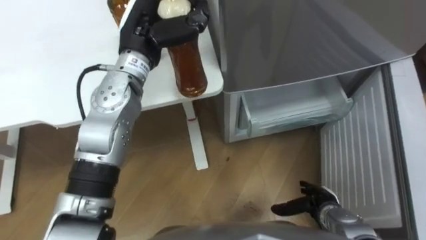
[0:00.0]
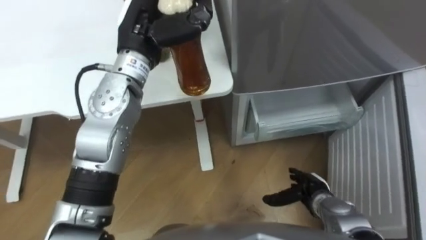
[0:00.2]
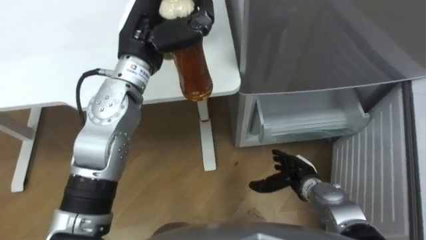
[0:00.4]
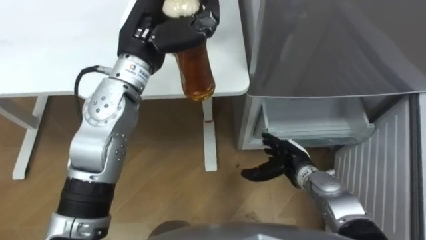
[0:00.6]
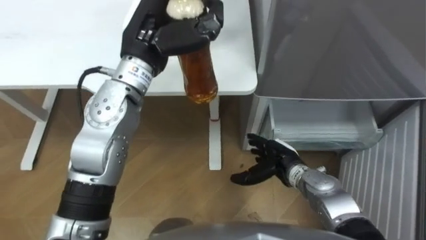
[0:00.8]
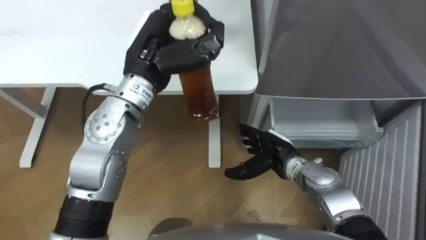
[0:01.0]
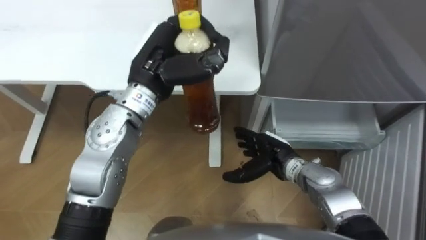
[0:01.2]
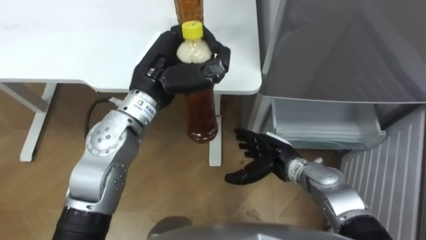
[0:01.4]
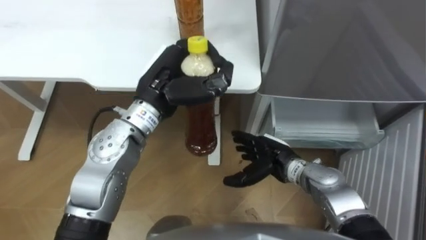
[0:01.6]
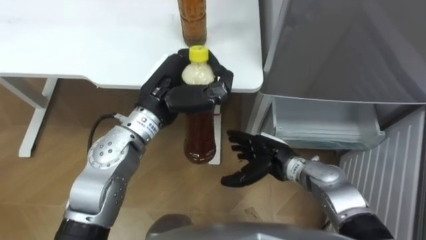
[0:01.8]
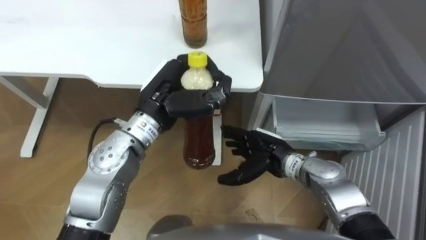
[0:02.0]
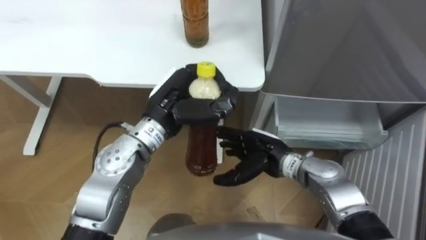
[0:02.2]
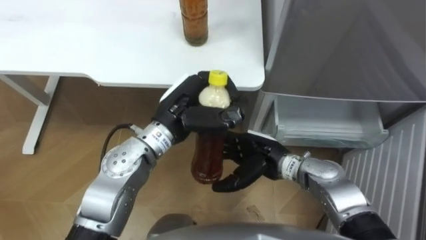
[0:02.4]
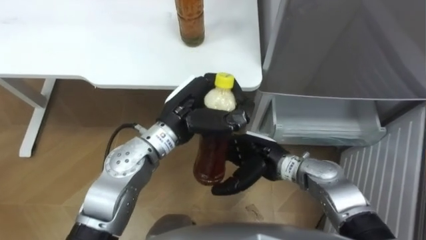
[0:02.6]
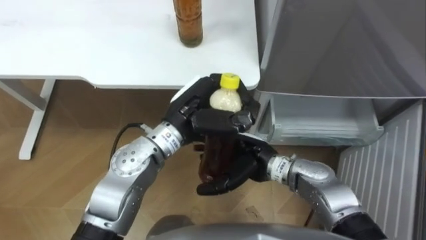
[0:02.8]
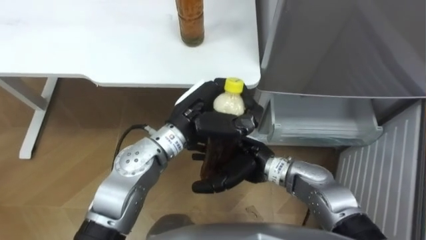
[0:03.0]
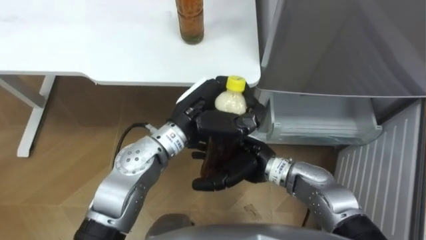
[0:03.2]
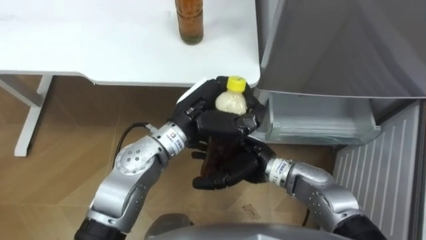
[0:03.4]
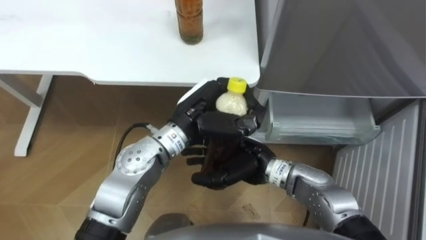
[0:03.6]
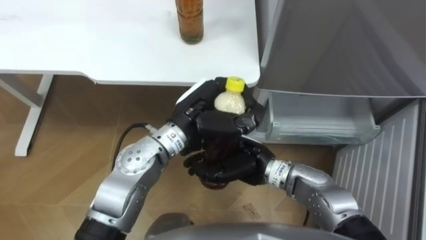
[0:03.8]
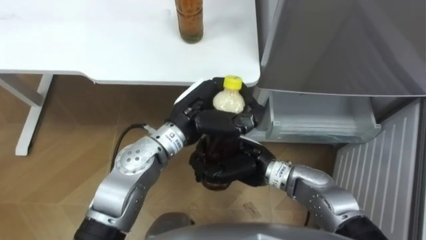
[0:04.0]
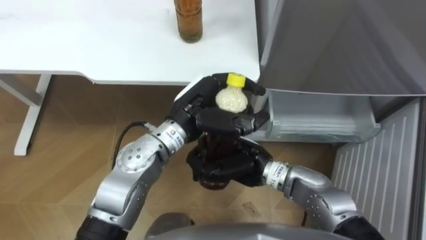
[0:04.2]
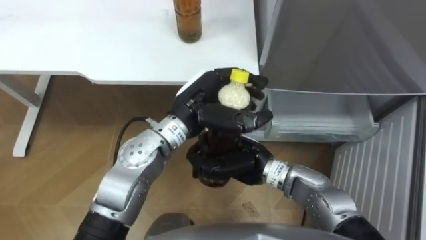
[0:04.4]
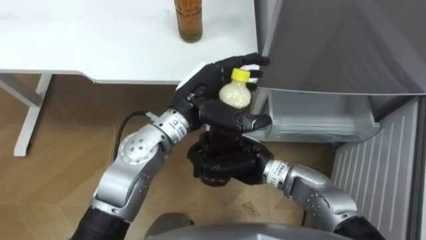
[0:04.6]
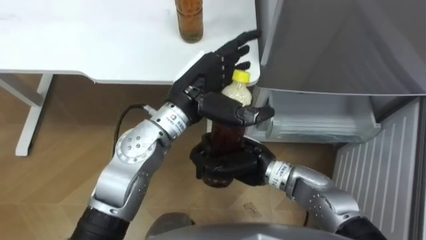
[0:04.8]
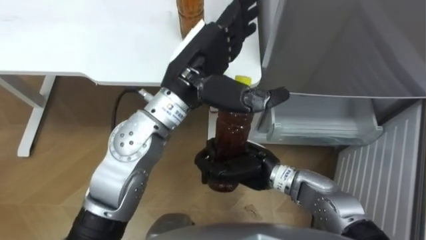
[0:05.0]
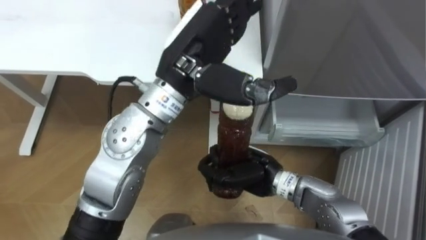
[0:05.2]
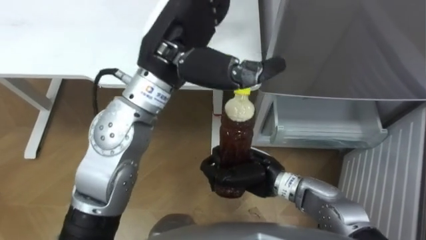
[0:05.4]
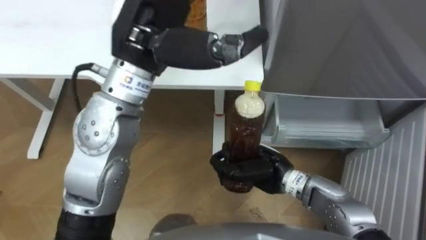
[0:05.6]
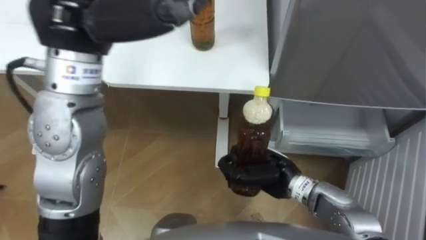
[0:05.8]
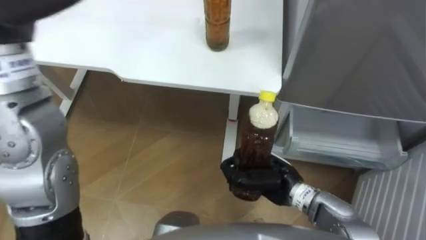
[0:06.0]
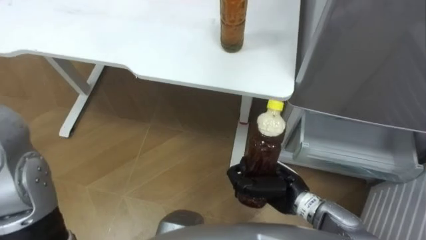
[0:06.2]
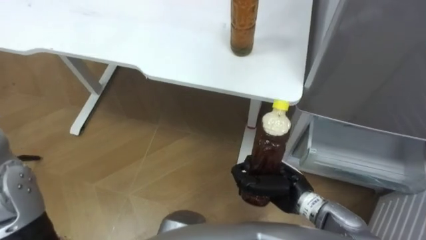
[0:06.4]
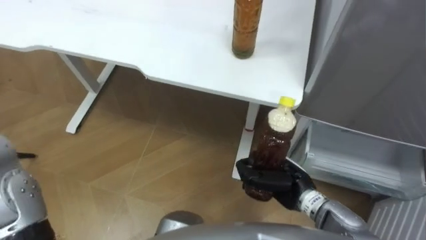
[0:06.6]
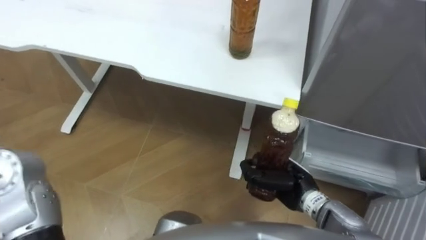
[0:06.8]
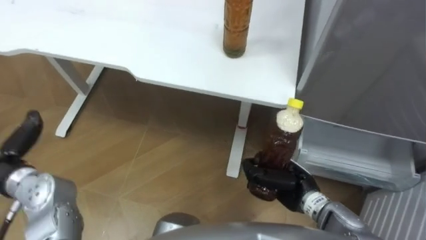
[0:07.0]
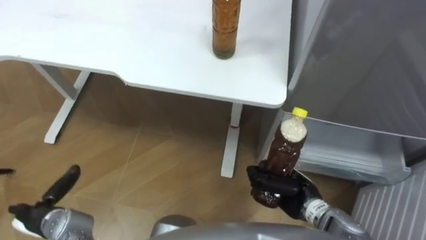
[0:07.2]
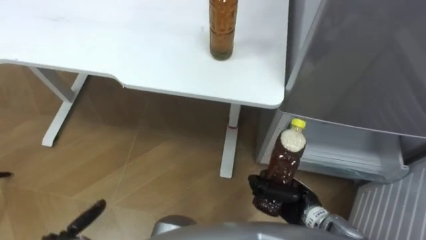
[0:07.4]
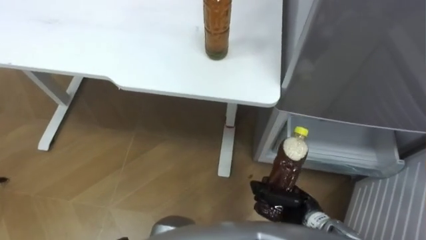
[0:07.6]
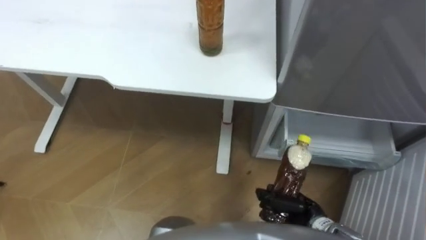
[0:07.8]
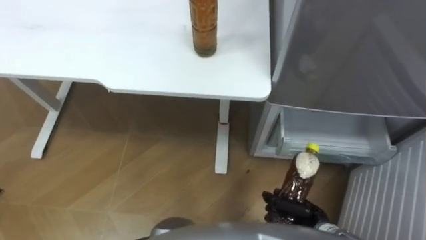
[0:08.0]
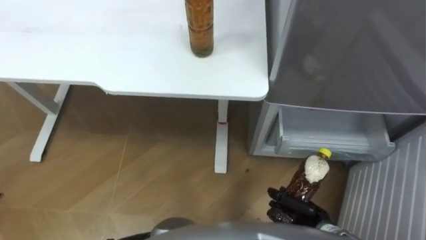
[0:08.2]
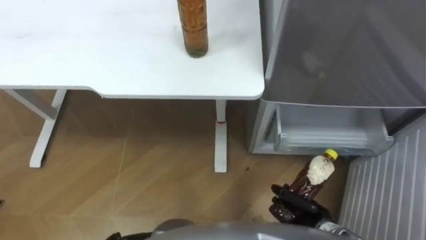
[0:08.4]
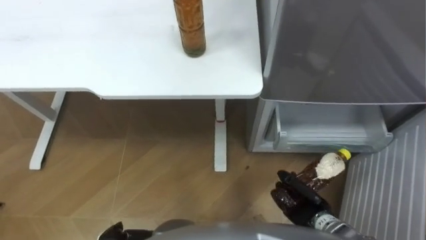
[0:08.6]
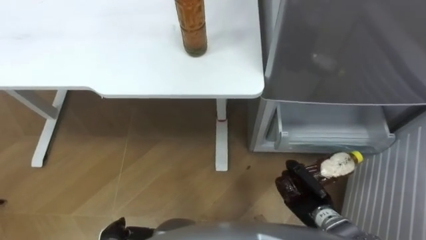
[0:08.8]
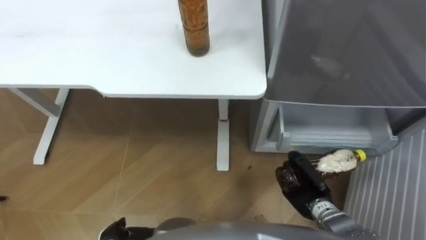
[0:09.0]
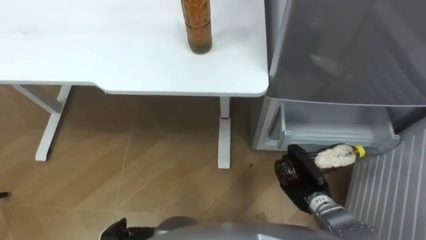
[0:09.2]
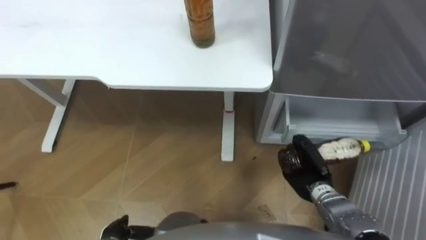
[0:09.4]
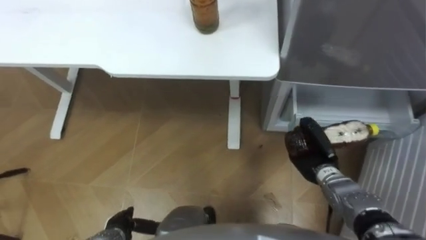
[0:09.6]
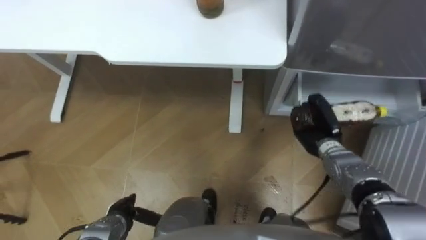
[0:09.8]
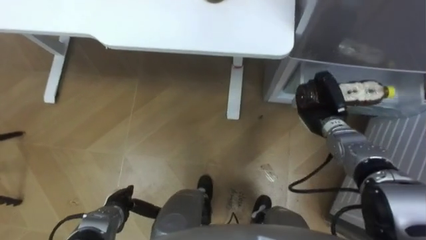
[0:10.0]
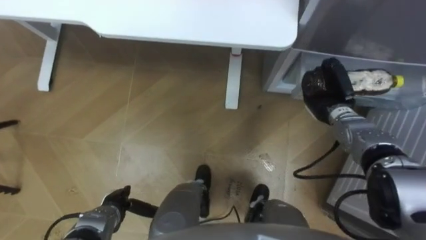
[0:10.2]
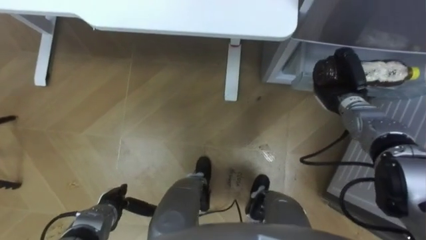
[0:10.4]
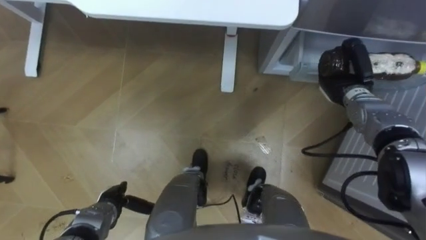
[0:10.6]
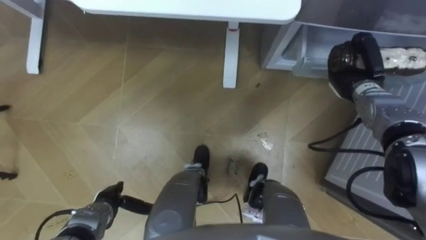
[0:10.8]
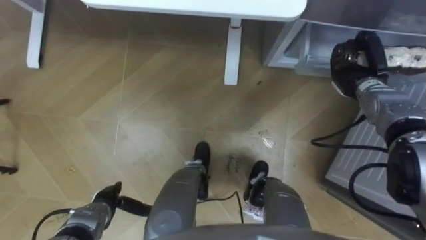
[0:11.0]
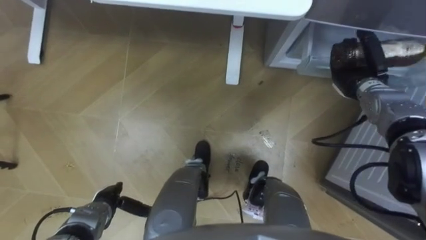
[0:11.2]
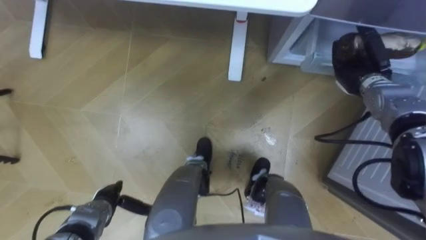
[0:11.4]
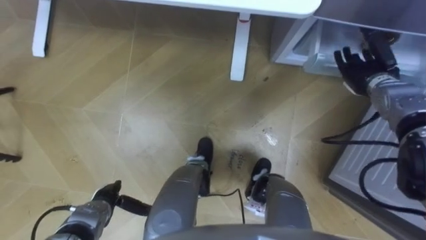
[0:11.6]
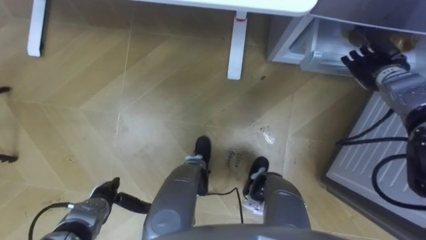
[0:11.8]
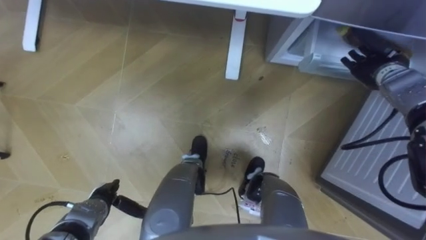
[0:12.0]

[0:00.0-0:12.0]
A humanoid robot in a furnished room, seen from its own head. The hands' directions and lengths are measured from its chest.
Task of the whole recording: Place the drink on the table on the bottom shelf of the refrigerator, then close the drawer and the refrigerator door.
0:00.0 to 0:01.6: The right hand travels to the left, forward and upward by about 20 cm. The left hand is displaced backward by about 10 cm.
0:01.6 to 0:03.0: The left hand travels to the right by roughly 5 cm. Meanwhile the right hand is displaced to the left and upward by about 10 cm.
0:03.0 to 0:04.4: The right hand closes up, while the left hand opens.
0:04.4 to 0:06.0: The right hand moves to the right, approximately 5 cm.
0:06.0 to 0:07.6: The right hand is displaced downward, to the right and backward by about 10 cm.
0:09.0 to 0:10.4: The right hand travels forward and upward by about 25 cm.
0:10.4 to 0:12.0: The right hand heads to the right and upward, covering roughly 10 cm, and opens.

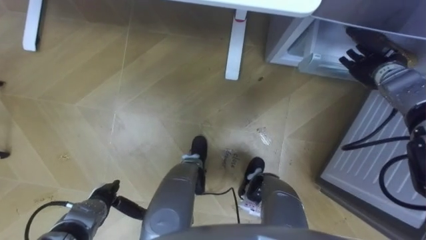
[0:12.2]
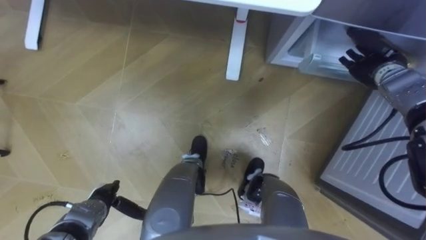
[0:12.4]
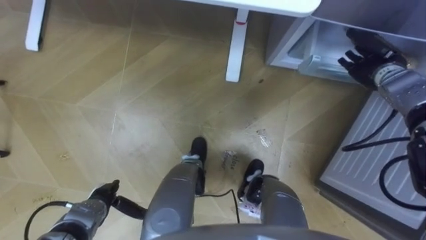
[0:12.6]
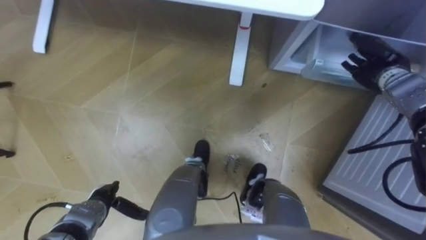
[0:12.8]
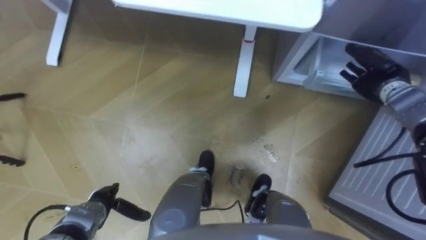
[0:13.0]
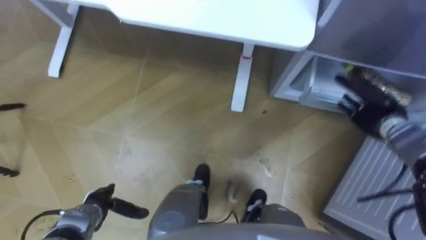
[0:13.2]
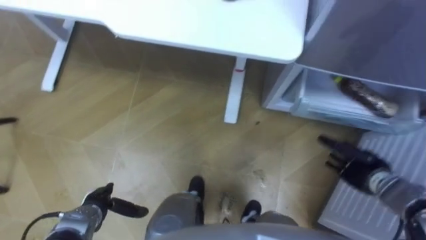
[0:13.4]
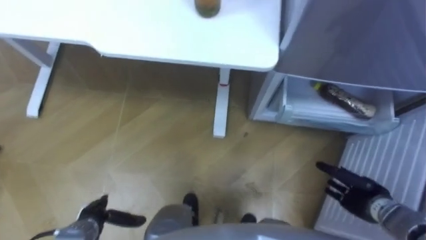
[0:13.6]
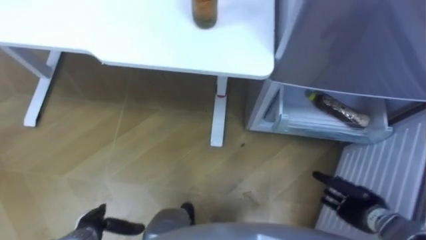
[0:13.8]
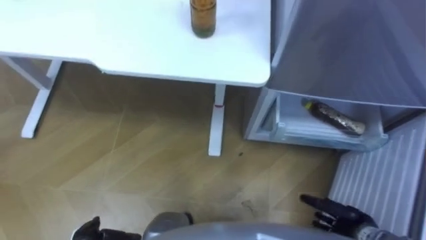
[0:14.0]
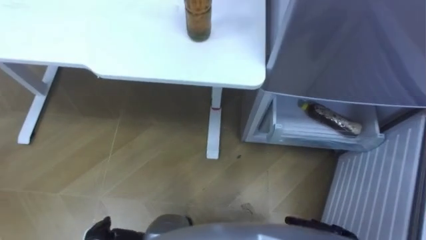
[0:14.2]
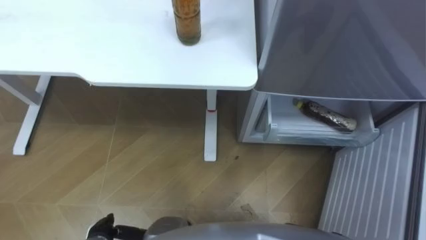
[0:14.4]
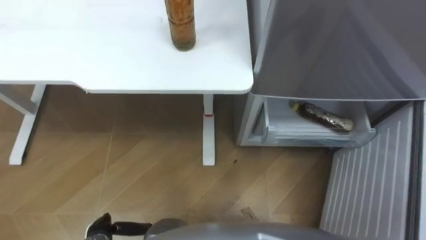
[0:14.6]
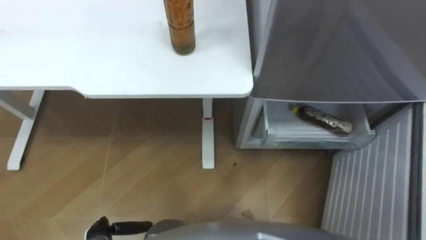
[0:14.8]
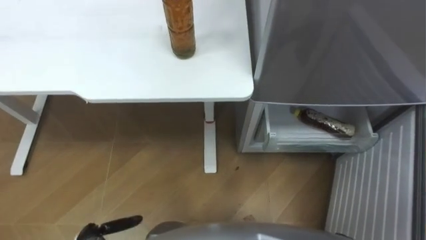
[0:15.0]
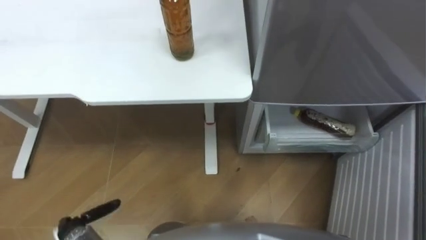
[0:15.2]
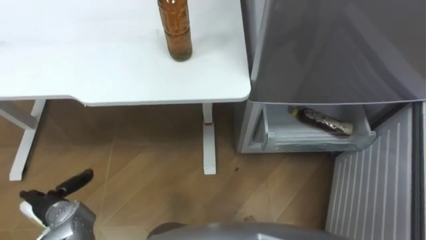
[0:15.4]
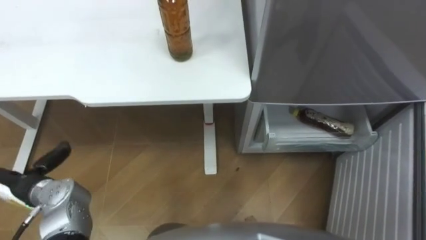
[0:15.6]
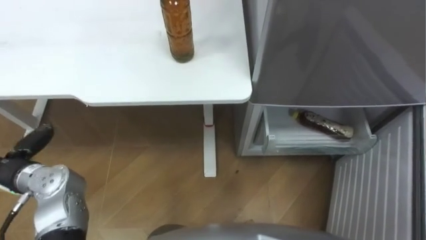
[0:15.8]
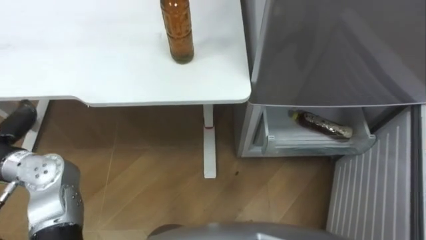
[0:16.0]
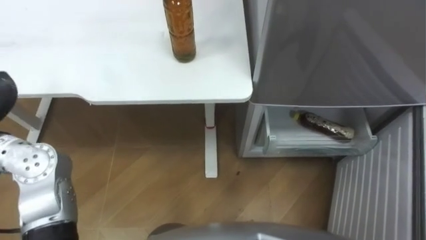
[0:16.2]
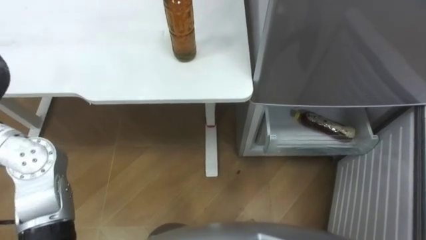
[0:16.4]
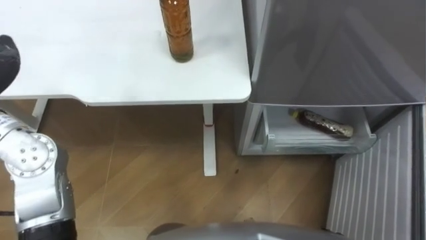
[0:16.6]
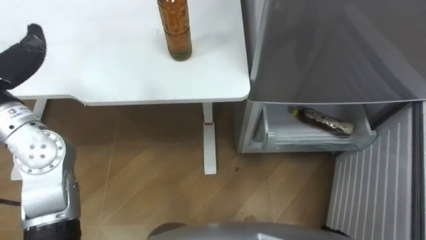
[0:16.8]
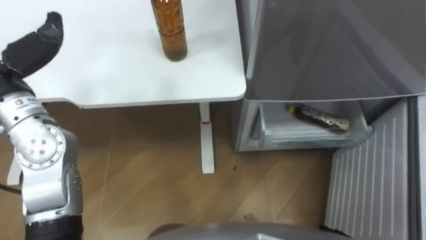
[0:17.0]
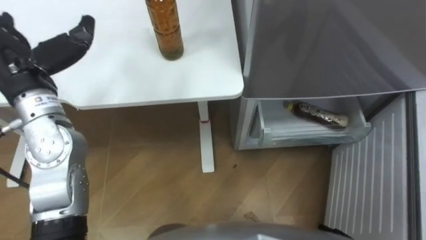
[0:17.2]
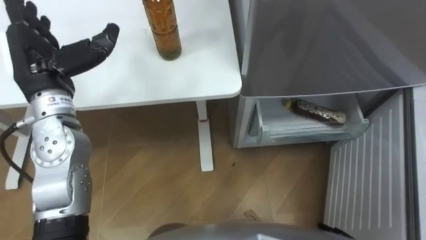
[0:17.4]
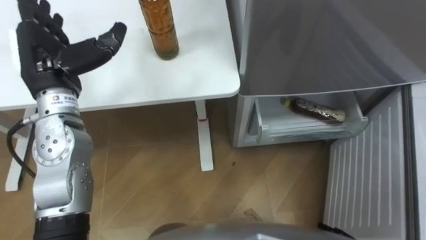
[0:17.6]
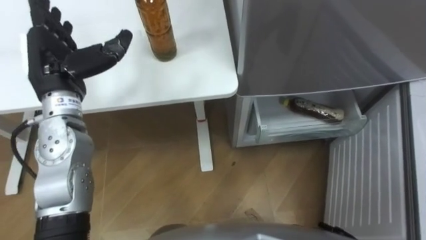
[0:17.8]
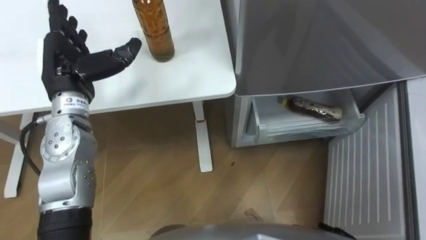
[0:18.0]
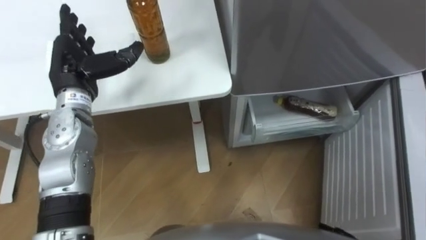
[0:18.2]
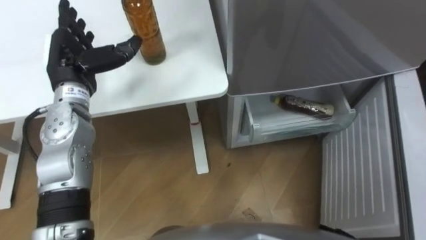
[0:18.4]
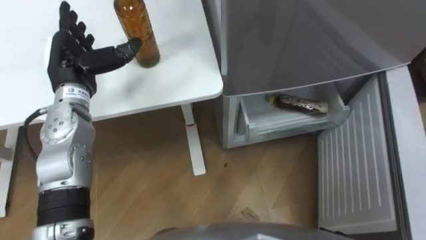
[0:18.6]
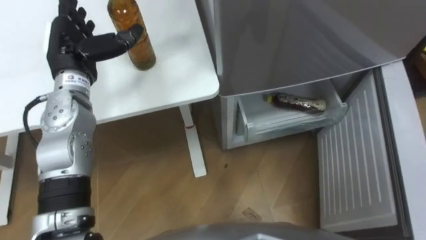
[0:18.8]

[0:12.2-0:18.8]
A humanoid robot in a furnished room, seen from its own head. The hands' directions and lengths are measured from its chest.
Task of the whole recording: Place the drink on the table on the bottom shelf of the refrigerator, then close the drawer and the refrigerator door.
0:12.2 to 0:13.8: The left hand travels backward by roughly 5 cm; the right hand goes about 30 cm backward and downward.
0:17.2 to 0:18.8: The left hand goes roughly 10 cm forward and downward.
